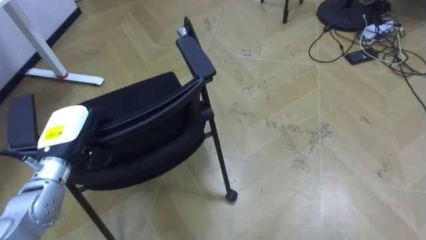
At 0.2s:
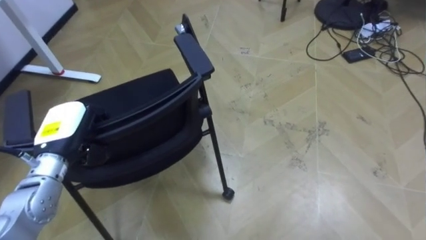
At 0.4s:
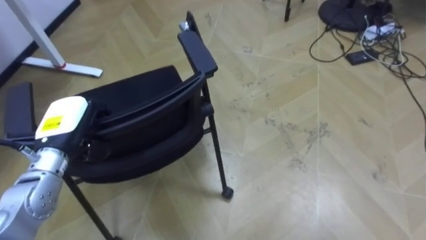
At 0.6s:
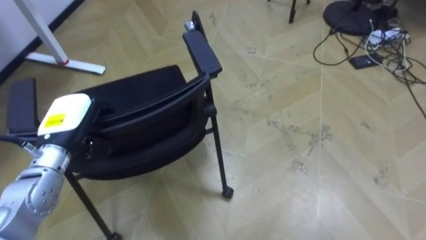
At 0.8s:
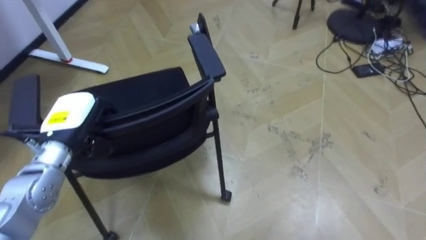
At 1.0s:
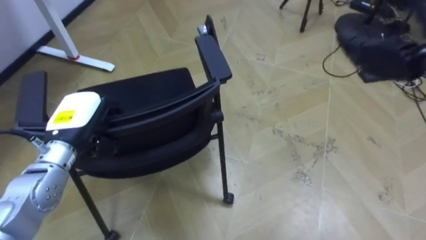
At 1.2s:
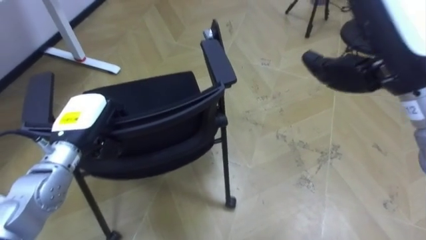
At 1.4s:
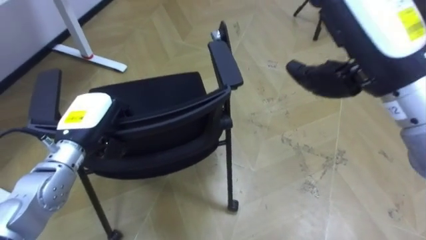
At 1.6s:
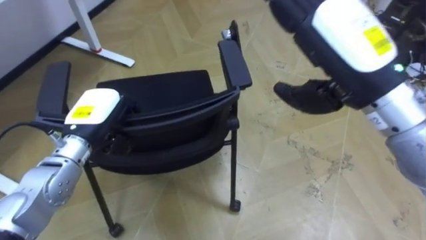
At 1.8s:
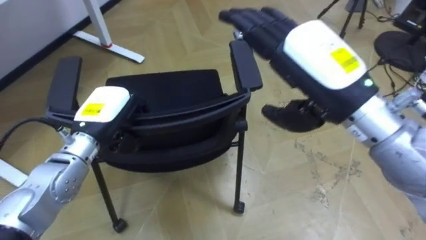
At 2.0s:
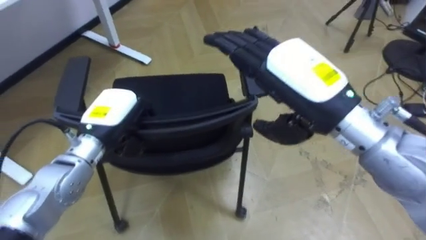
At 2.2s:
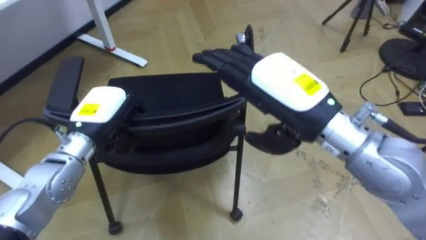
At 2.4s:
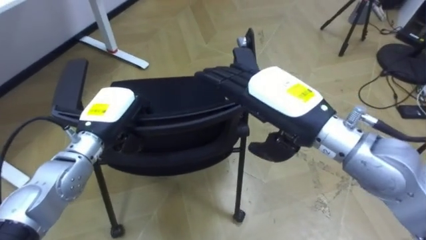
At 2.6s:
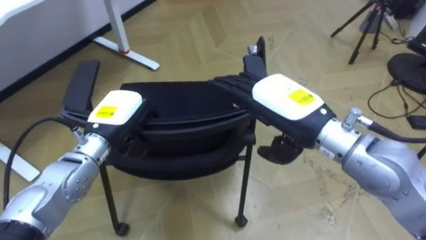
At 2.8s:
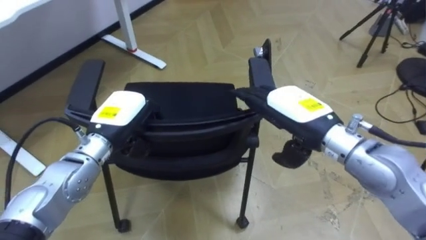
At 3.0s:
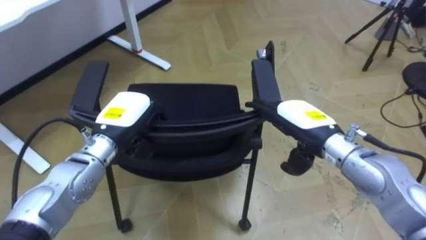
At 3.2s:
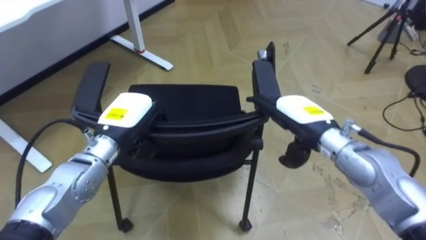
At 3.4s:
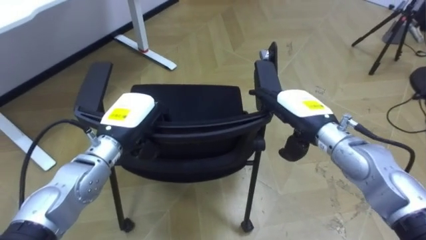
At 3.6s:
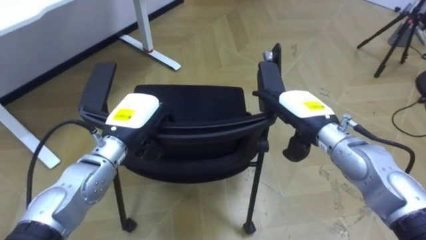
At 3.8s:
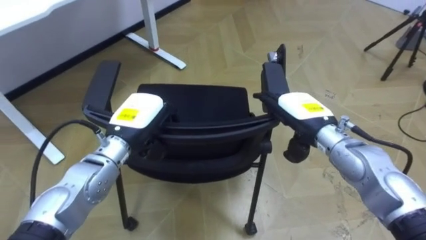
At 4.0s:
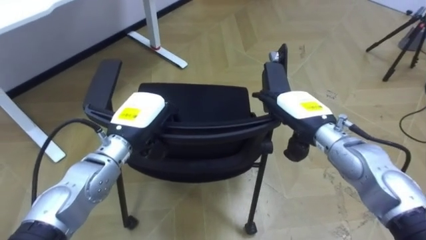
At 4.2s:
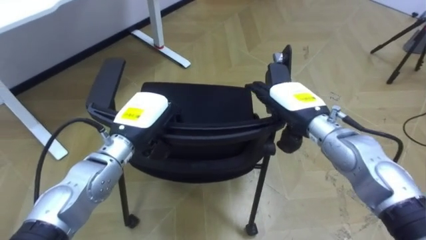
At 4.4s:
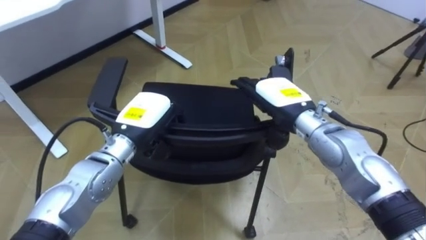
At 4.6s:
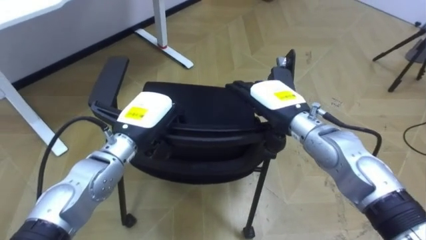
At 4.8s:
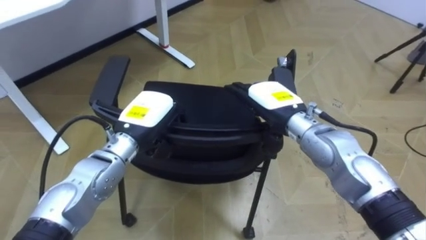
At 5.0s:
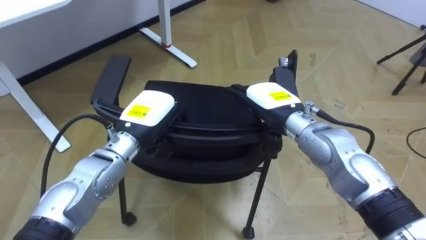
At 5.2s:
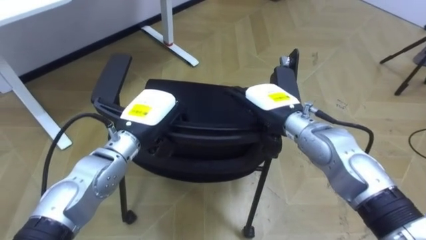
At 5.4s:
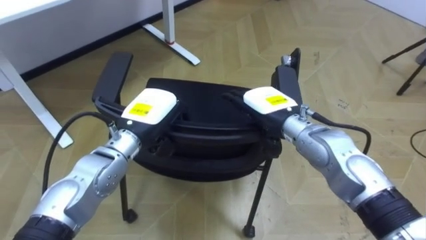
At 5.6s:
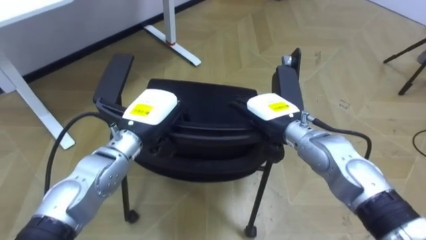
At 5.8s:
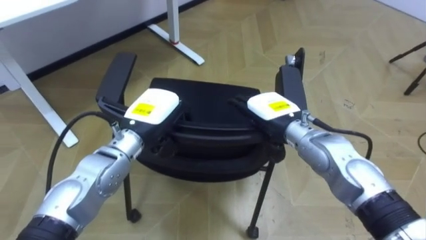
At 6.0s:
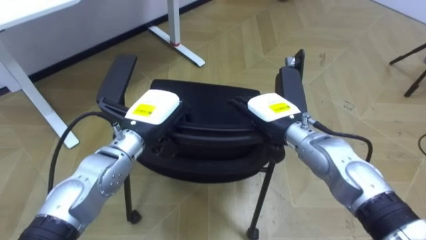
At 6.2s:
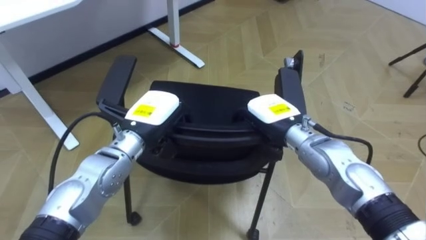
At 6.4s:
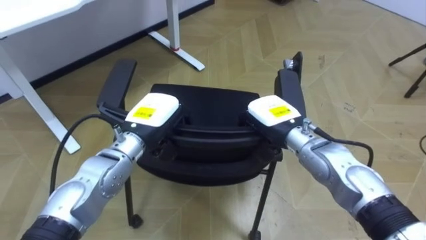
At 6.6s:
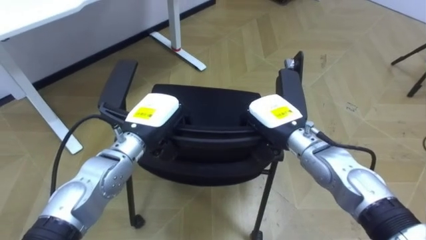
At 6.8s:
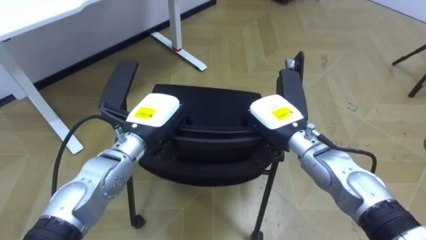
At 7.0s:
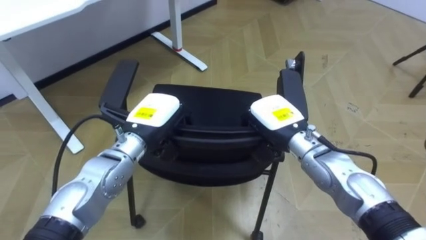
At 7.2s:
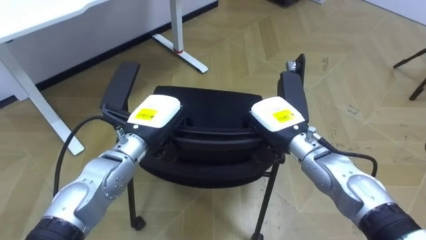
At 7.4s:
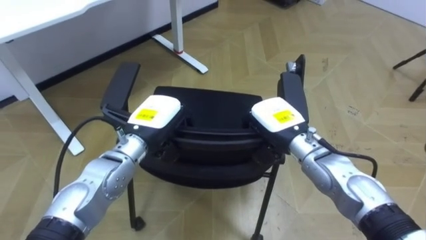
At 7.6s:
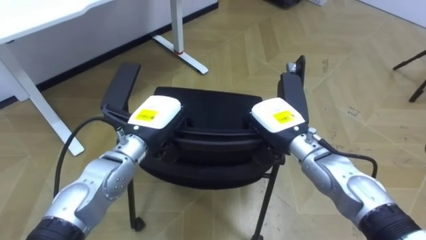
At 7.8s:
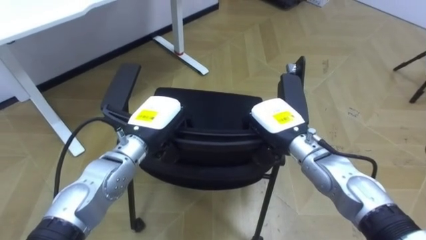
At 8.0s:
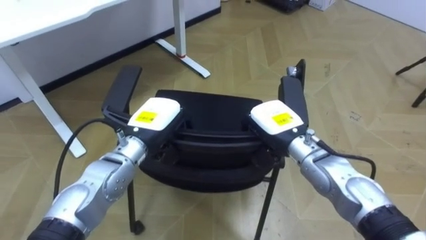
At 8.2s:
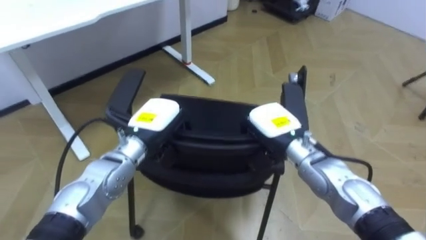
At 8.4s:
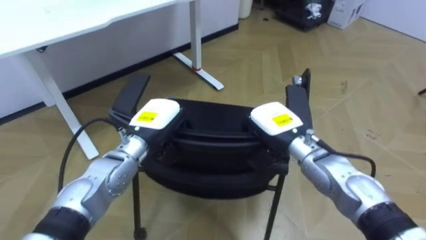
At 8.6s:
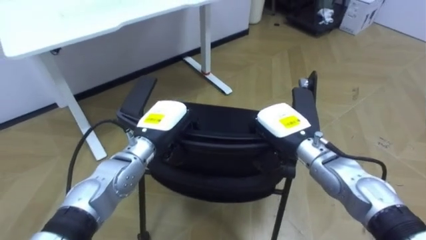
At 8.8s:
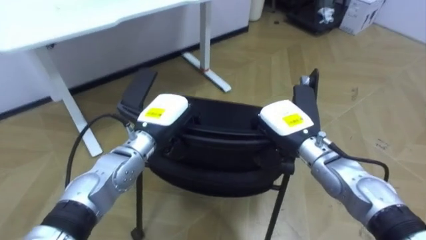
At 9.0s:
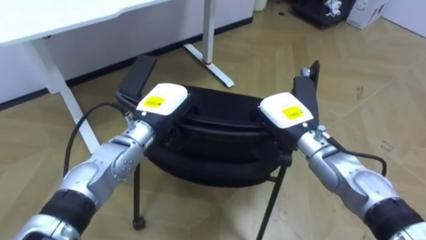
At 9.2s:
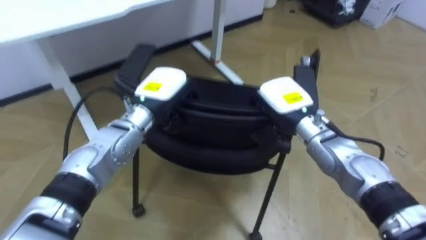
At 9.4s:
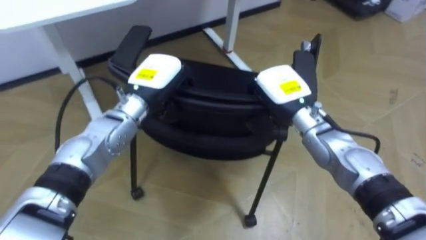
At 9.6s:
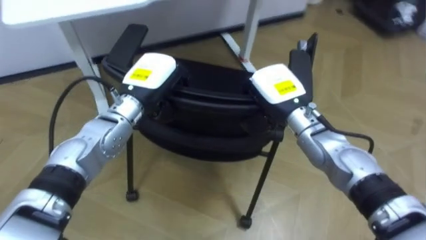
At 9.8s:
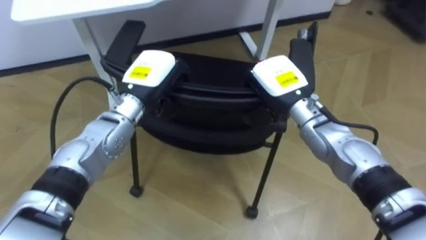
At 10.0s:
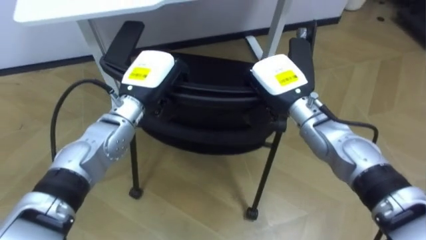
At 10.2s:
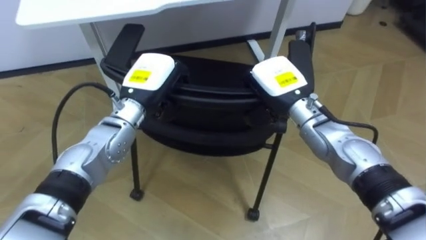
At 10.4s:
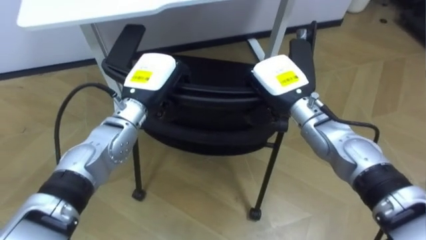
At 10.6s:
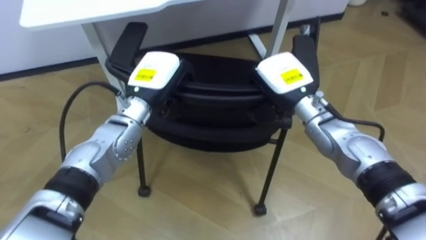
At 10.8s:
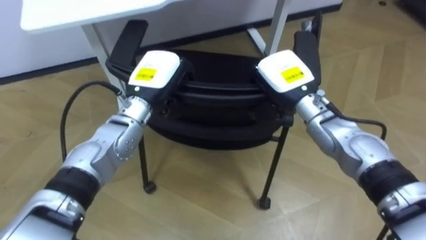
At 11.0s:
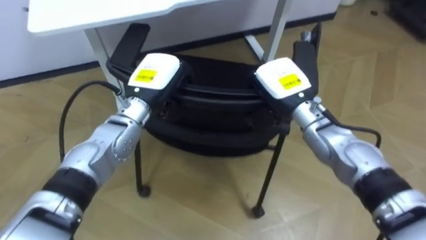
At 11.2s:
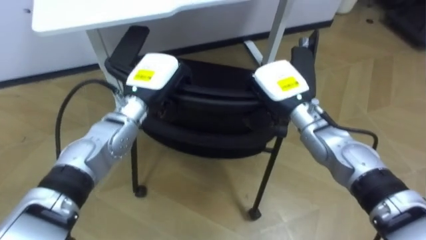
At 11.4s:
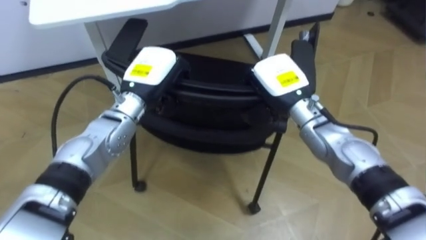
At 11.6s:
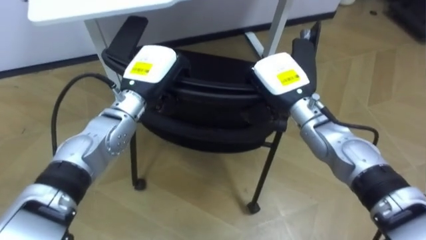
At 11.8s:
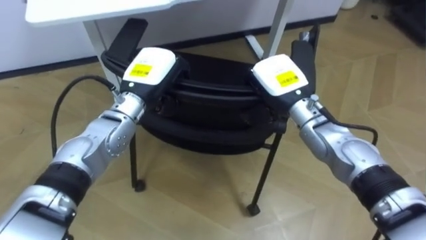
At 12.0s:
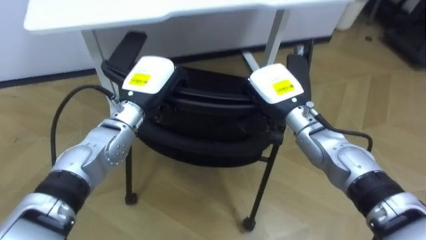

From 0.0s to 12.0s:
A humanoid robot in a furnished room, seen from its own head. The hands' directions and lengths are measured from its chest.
Task of the whole recording: Push the chair under the table.
From 0.0s to 1.6s: The left hand travels to the right by roughly 5 cm.
From 1.6s to 3.0s: The right hand moves downward, roughly 20 cm. Meanwhile the left hand changes place by some 5 cm.
From 3.0s to 4.4s: The right hand shifts by roughly 5 cm.
From 6.0s to 7.6s: The right hand closes.
From 9.0s to 10.4s: The robot rotates roughly 20 degrees to its left. The right hand moves upward, some 5 cm. Meanwhile the left hand changes place by approximately 5 cm.

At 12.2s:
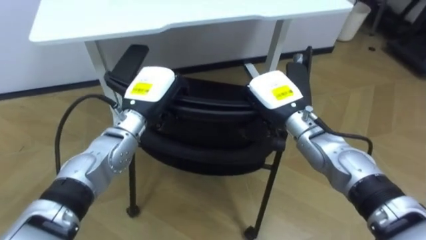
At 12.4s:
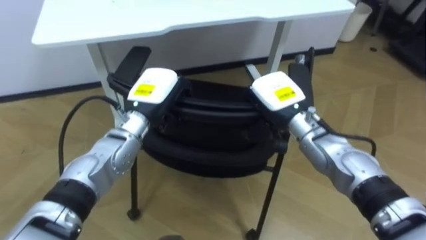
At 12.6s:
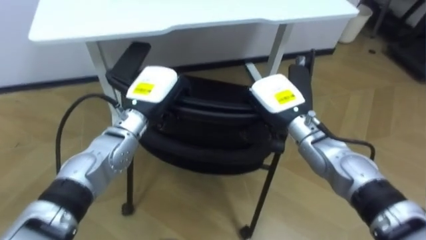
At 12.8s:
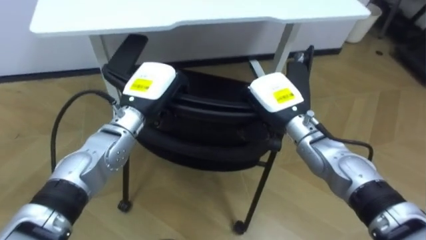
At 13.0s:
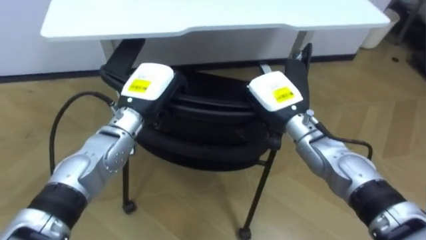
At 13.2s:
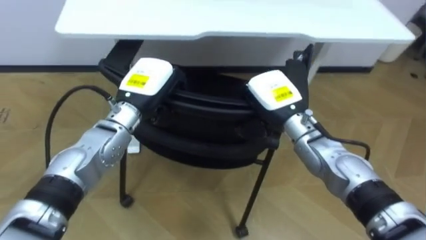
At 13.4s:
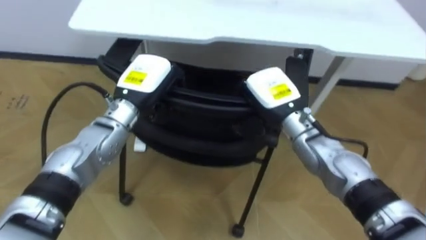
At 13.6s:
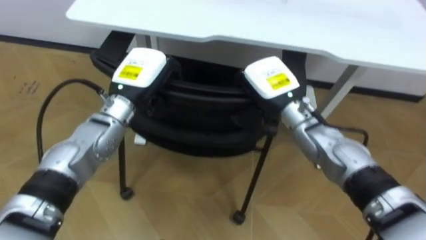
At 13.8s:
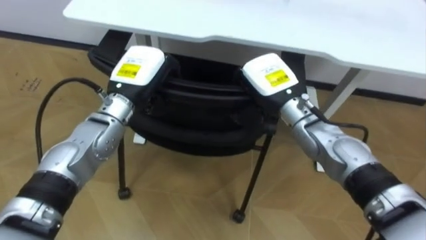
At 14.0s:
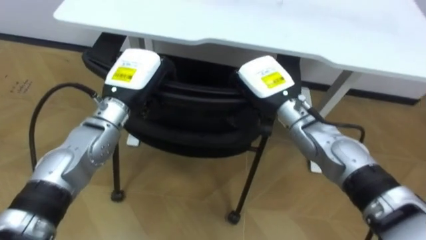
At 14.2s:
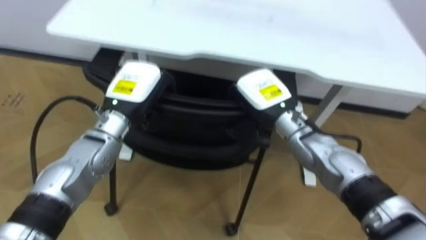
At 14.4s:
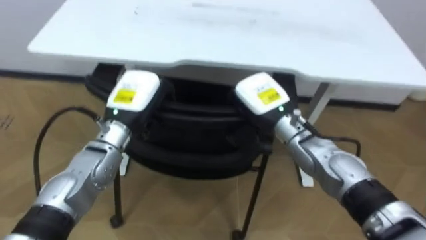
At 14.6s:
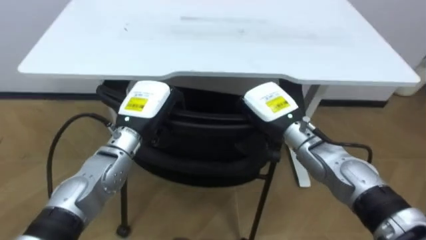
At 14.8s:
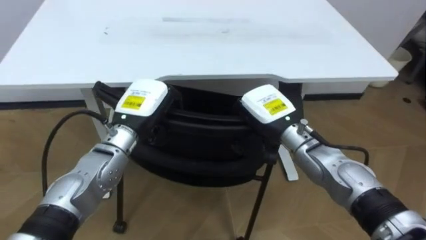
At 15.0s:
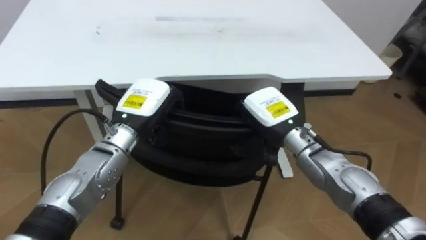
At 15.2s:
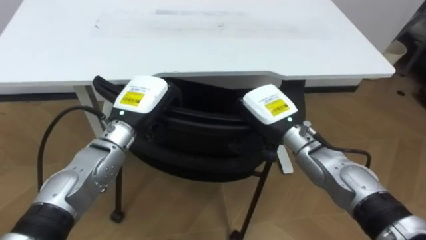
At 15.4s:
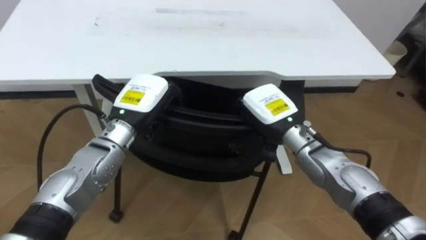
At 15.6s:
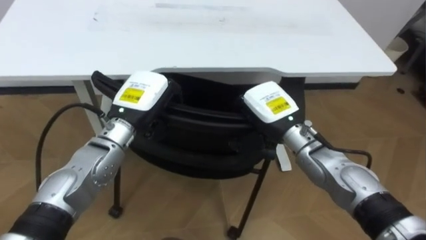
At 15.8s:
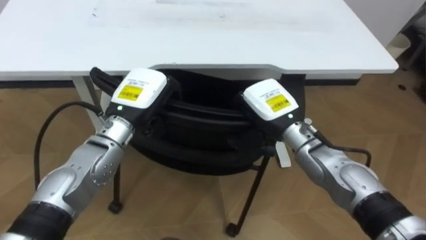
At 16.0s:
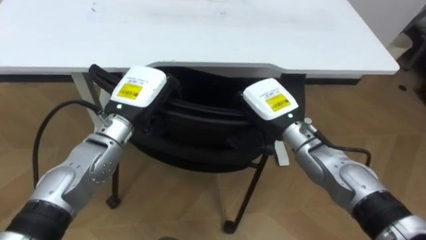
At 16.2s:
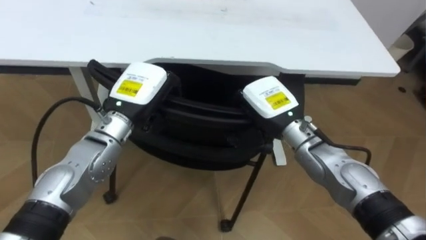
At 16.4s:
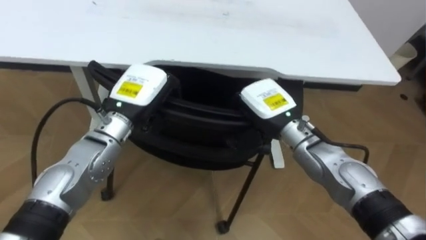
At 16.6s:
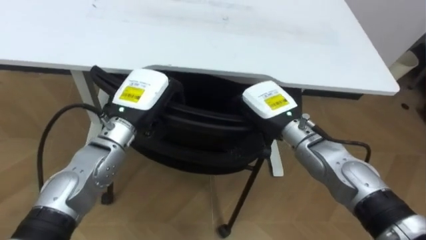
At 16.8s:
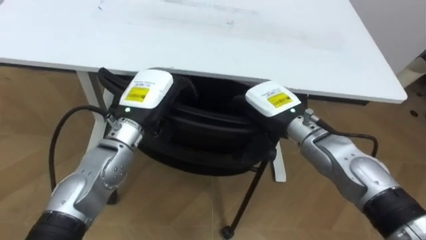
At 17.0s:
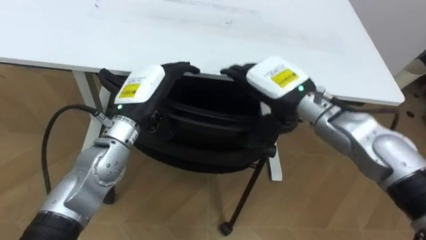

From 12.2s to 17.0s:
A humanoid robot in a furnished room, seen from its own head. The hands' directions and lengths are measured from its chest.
Task of the whole recording: Push the chair under the table.
From 12.2s to 13.8s: The robot's body swings approximately 15 degrees to its left.
From 13.8s to 15.4s: The right hand shifts by some 5 cm.
From 15.4s to 17.0s: The left hand opens. Meanwhile the right hand moves upward, approximately 5 cm, and opens its fingers.
